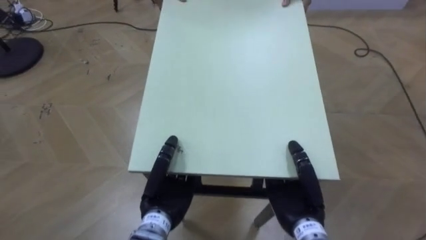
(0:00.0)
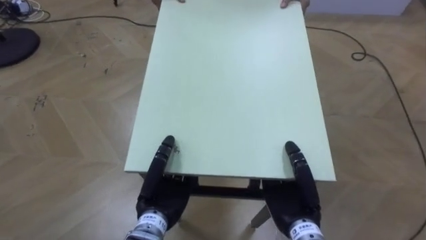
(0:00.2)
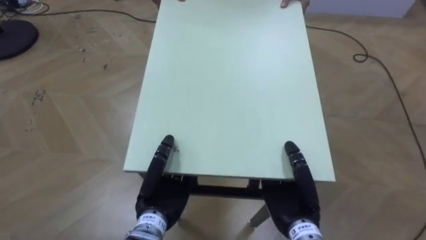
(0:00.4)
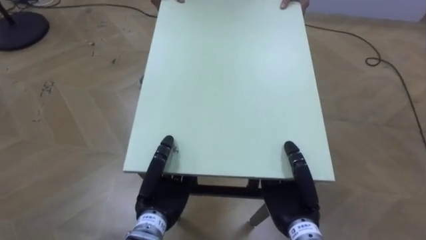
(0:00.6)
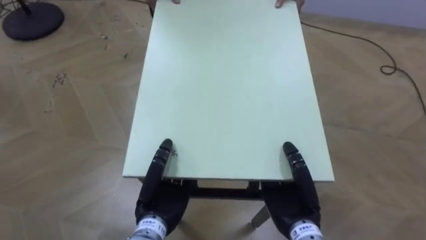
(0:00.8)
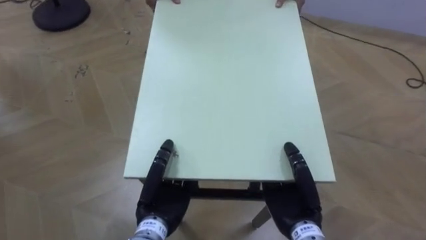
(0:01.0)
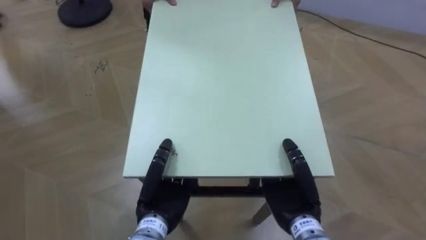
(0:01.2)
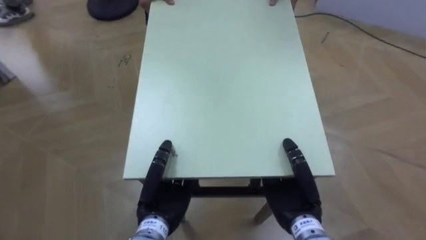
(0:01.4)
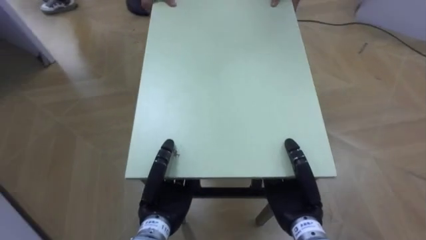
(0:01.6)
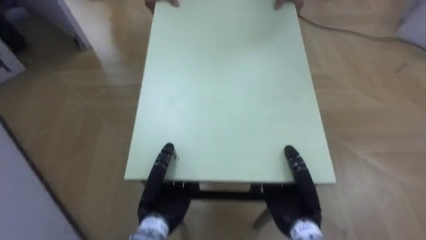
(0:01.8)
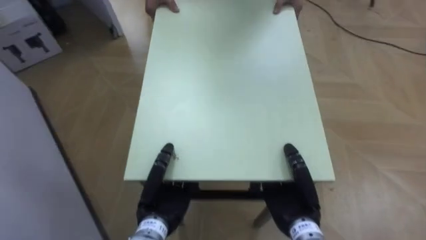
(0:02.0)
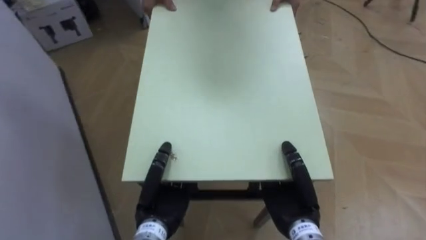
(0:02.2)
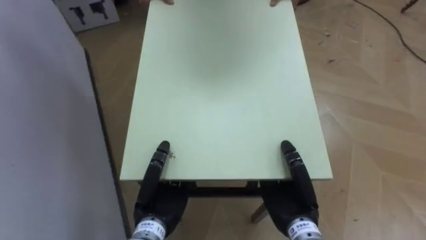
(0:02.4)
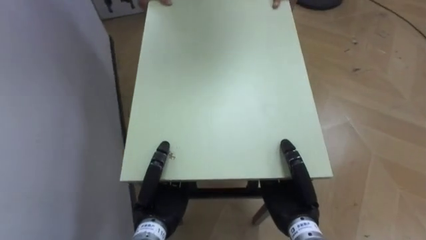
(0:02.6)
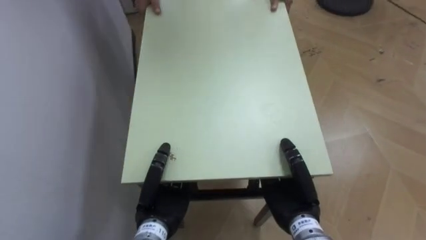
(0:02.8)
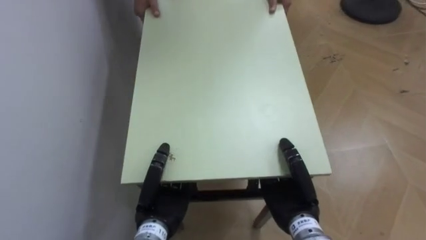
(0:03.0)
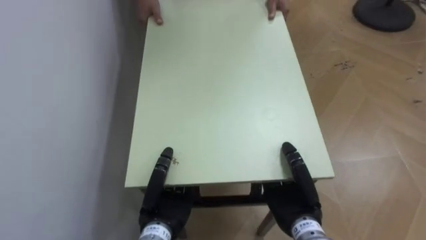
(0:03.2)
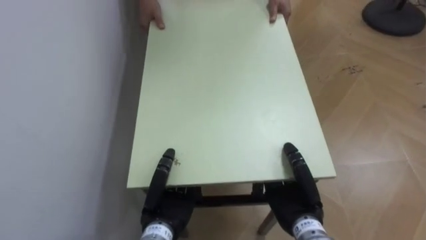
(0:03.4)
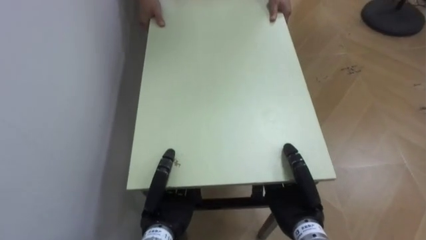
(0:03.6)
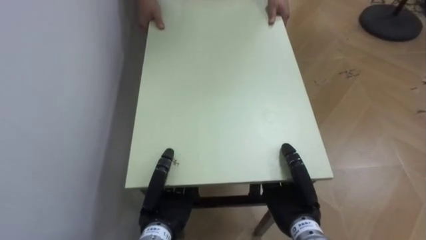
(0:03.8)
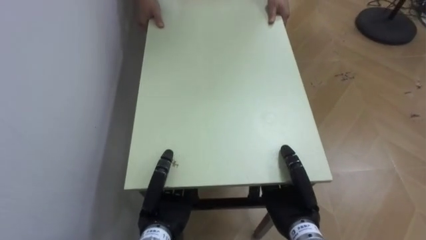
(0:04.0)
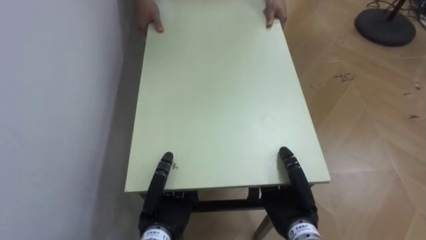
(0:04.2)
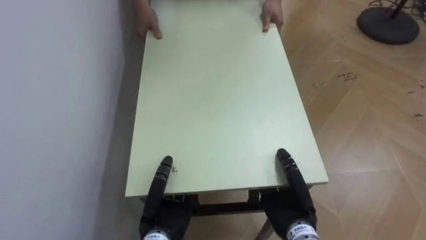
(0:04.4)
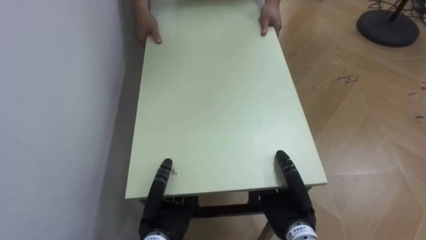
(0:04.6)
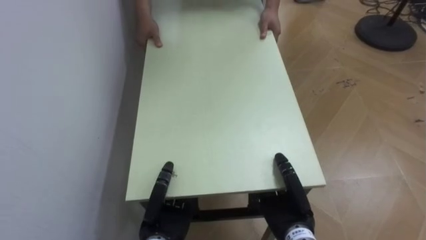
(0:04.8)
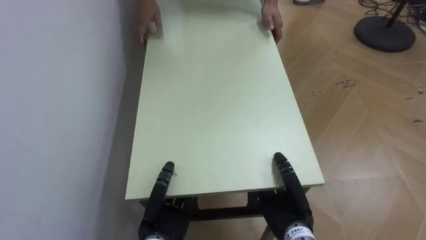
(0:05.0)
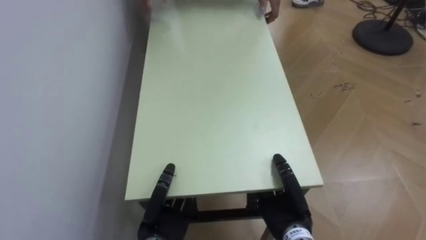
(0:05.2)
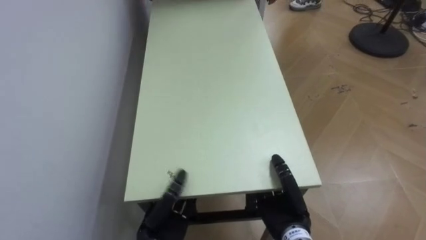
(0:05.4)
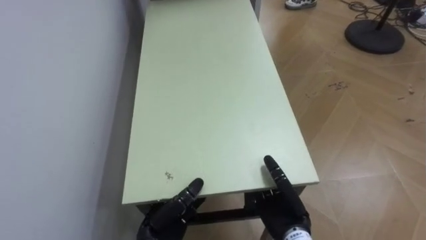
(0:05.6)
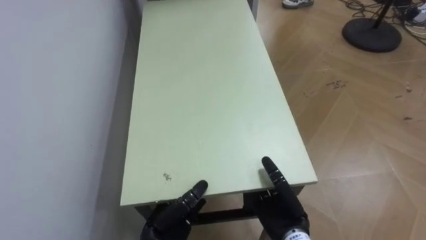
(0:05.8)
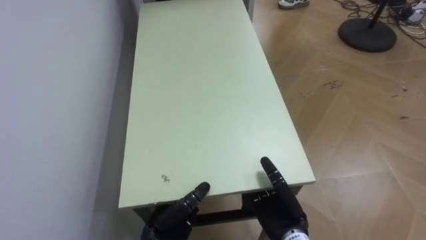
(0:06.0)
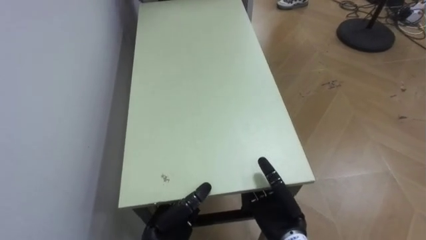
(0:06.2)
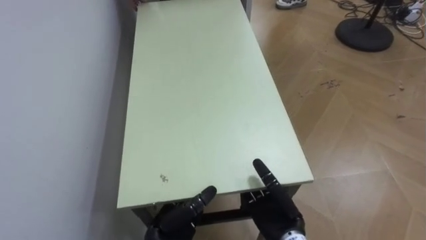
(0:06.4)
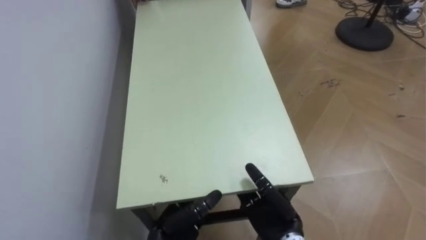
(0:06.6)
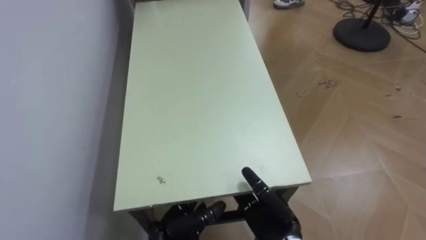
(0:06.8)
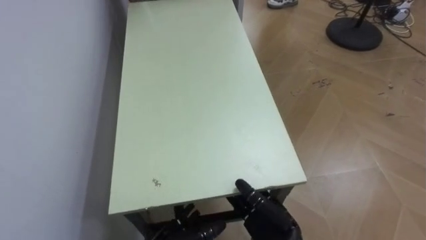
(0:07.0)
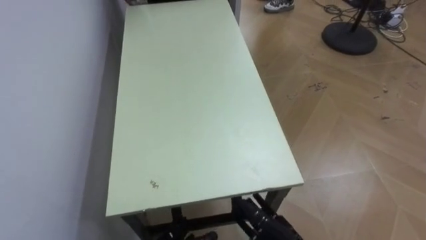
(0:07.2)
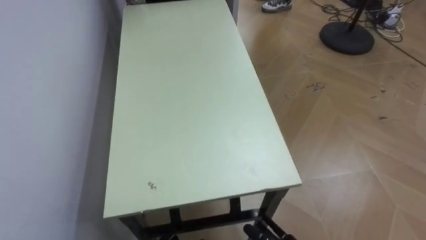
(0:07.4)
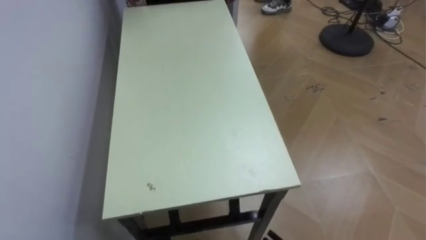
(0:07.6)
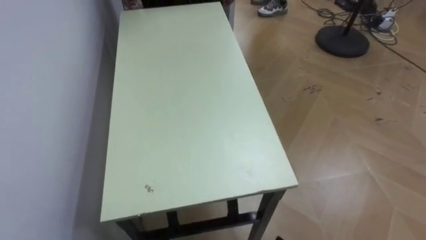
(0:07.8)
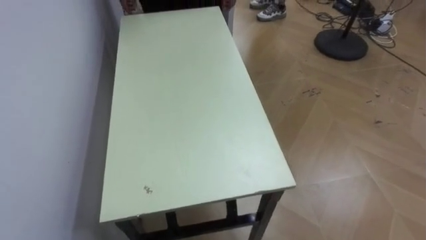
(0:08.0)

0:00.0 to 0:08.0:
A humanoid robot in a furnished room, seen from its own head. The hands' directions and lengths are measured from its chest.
Task of the whole recording: Move the table to the back left with someone.
0:00.0 to 0:01.6: The robot rotates roughly 25 degrees to its left.
0:01.6 to 0:03.2: The robot's body swings approximately 50 degrees to its left.
0:04.8 to 0:06.4: The left hand opens up, while the right hand opens its fingers.

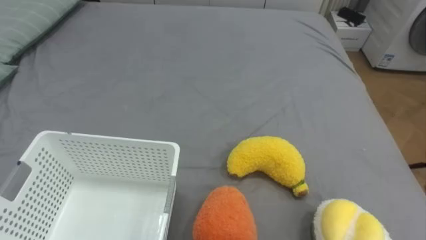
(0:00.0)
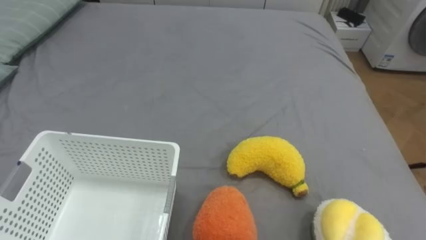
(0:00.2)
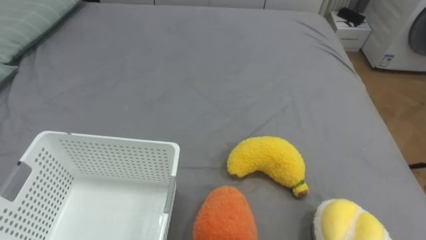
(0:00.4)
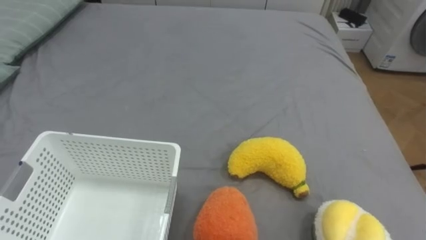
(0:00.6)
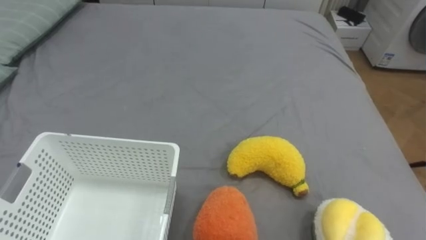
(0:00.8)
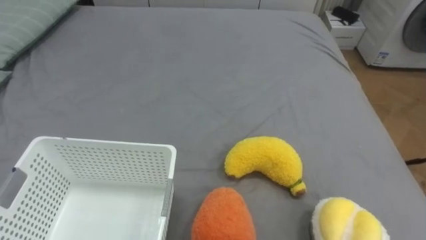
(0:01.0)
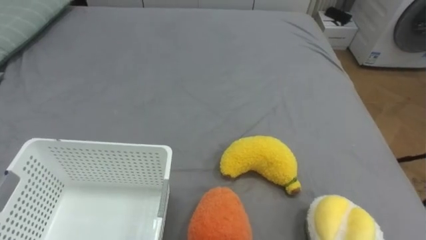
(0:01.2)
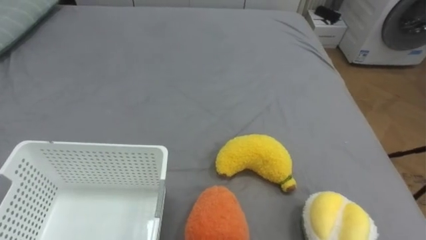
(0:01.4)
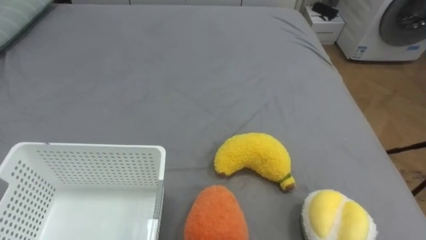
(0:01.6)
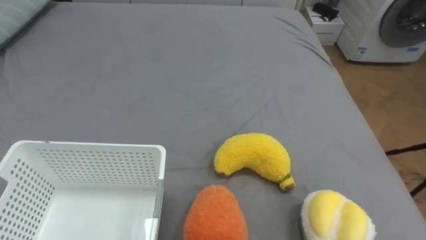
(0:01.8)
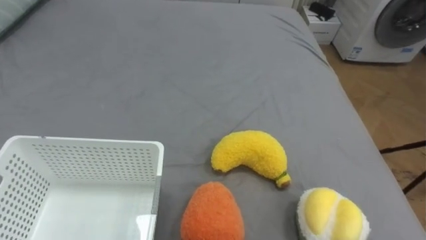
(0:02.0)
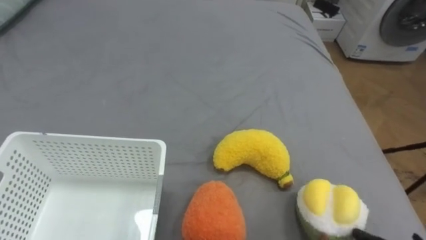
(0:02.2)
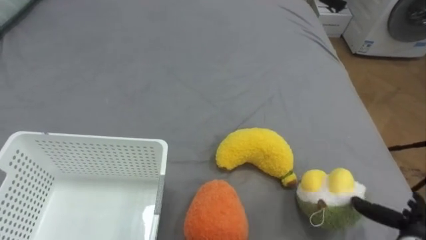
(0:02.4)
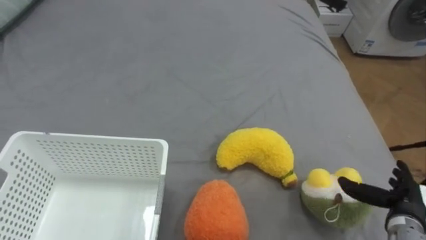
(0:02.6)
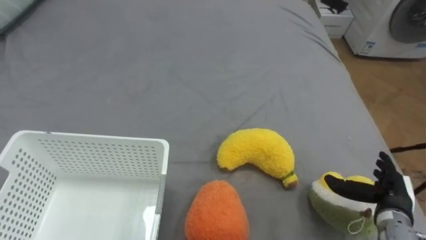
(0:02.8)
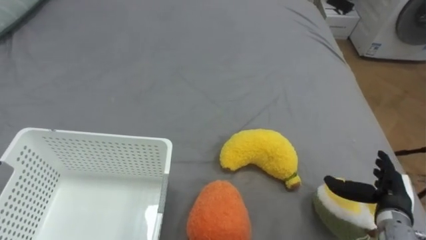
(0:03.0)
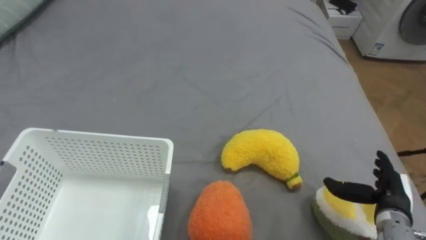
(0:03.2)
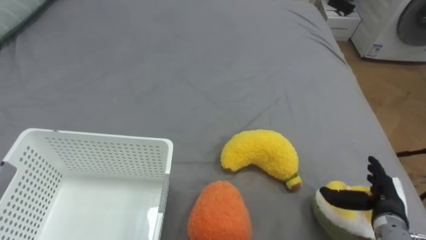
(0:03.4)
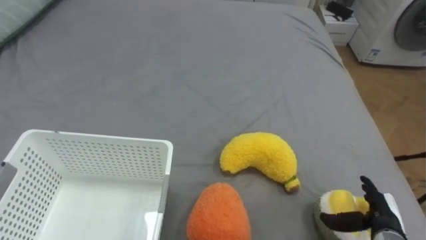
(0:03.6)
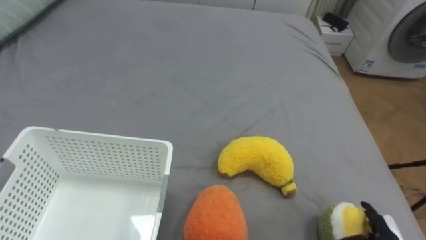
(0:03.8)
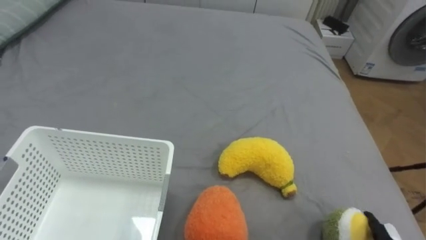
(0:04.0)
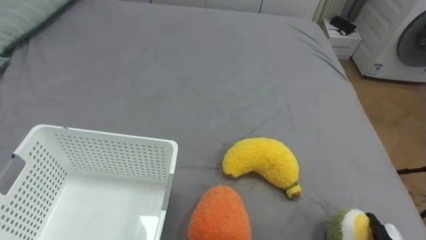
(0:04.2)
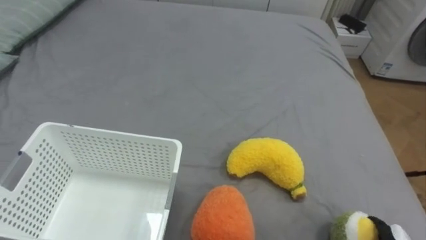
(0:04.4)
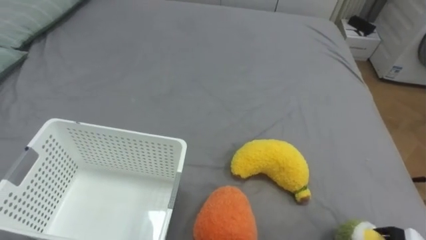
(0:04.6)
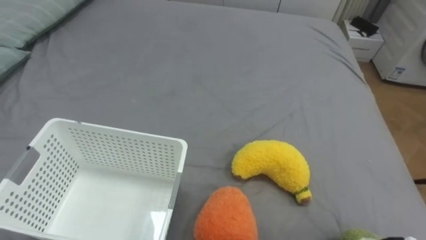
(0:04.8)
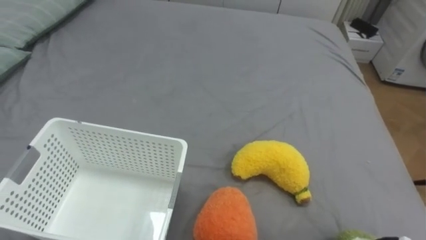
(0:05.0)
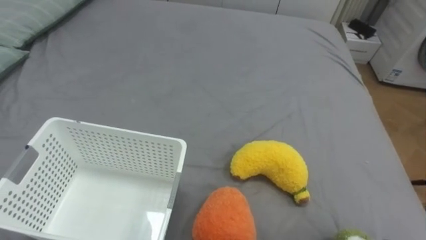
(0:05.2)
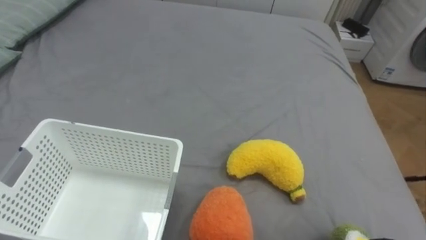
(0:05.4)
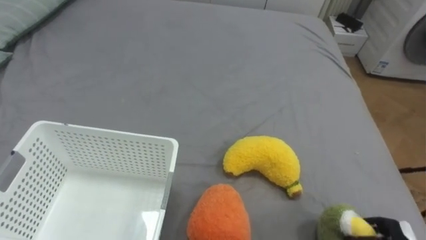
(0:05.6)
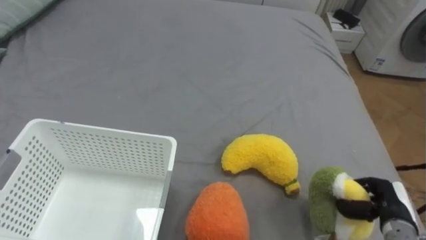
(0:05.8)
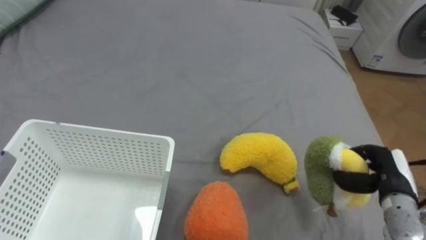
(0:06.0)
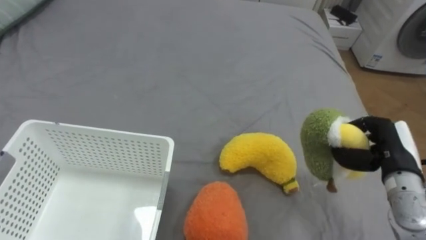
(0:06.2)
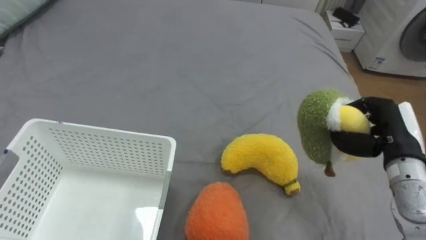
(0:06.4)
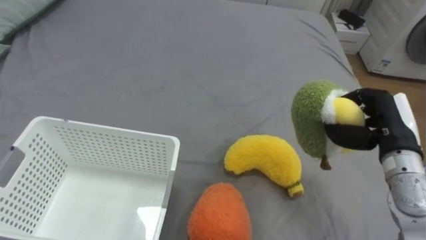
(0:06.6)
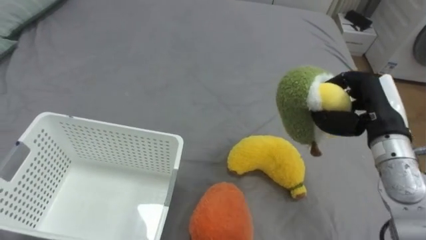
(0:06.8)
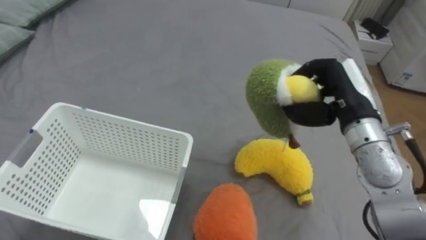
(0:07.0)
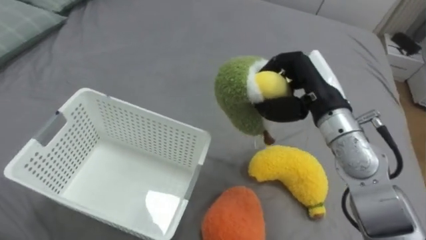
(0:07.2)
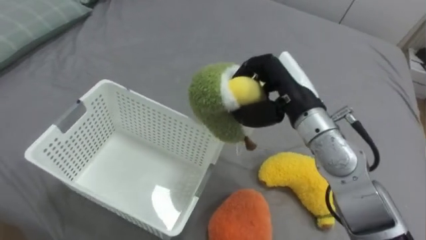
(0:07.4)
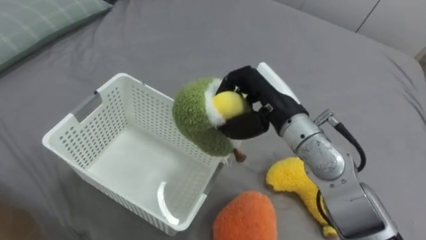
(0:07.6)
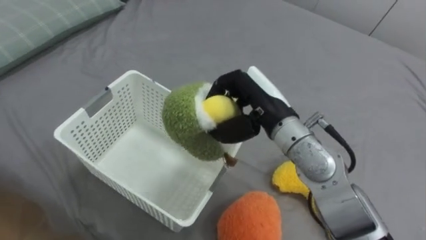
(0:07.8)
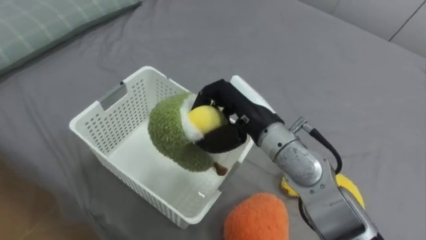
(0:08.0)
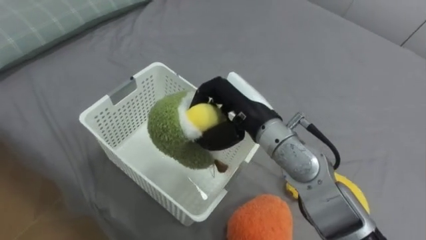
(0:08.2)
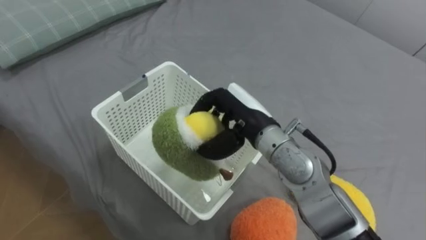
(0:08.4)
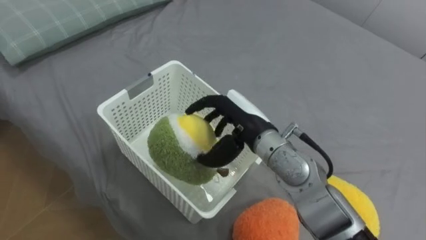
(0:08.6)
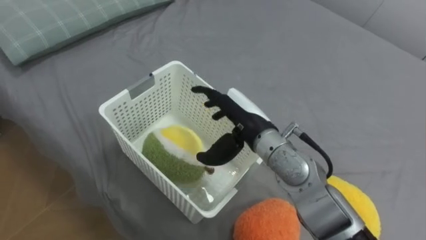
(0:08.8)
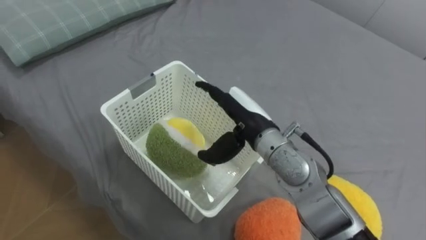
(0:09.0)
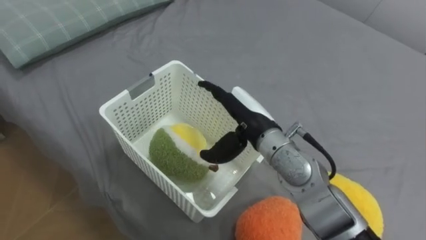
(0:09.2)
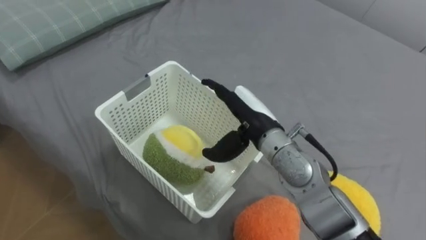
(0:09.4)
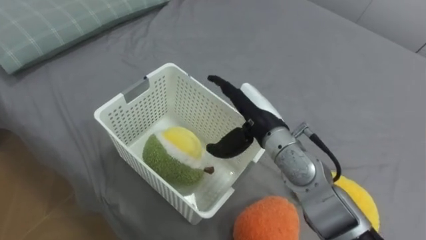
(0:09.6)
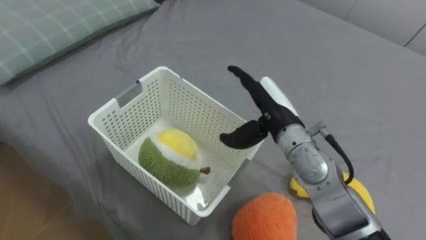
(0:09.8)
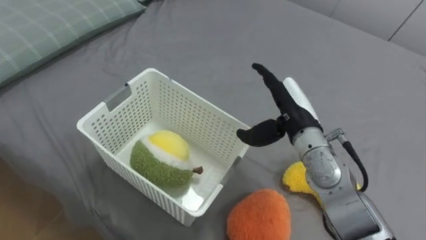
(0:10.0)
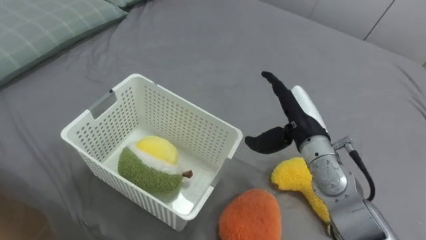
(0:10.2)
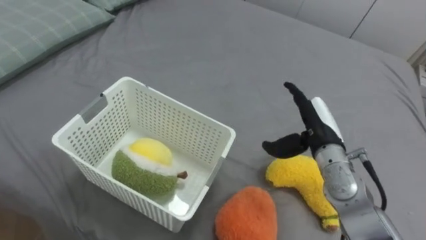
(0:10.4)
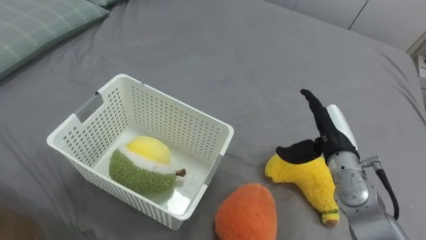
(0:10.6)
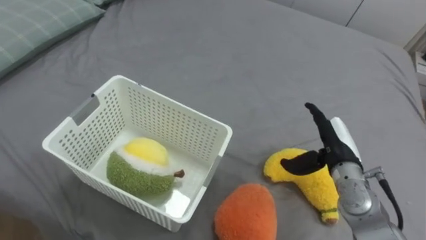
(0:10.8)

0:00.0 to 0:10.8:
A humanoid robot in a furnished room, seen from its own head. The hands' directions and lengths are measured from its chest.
Task of the whole recording: Put the toys on the bed into the basket on the left.
0:06.2 to 0:07.8: The right hand moves to the left and upward, approximately 25 cm.
0:07.8 to 0:09.2: The right hand opens.
0:09.2 to 0:10.8: The right hand shifts some 20 cm to the right and downward.
